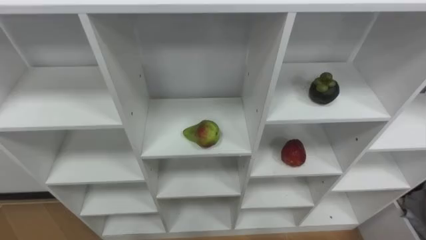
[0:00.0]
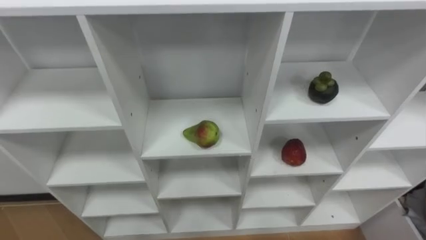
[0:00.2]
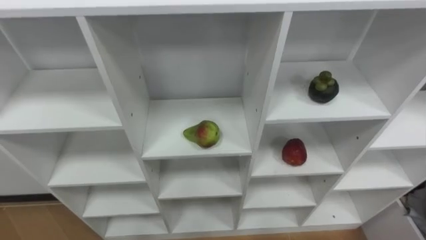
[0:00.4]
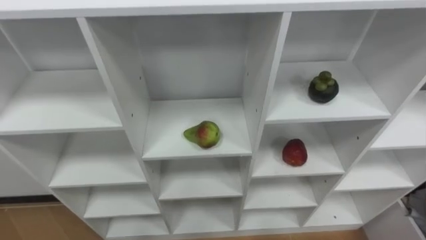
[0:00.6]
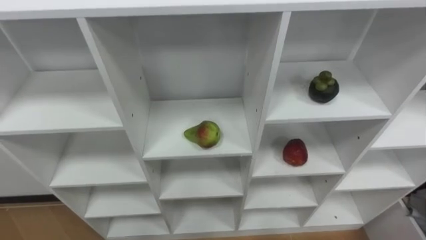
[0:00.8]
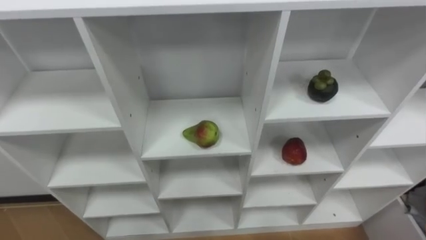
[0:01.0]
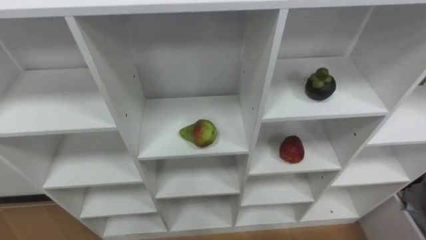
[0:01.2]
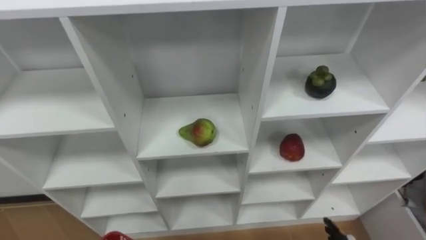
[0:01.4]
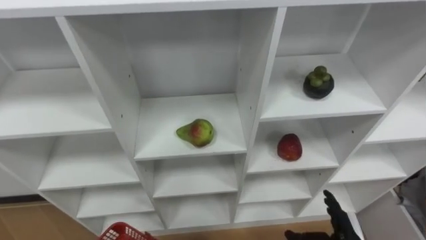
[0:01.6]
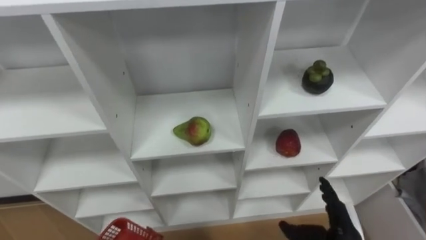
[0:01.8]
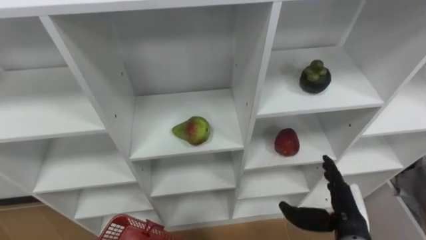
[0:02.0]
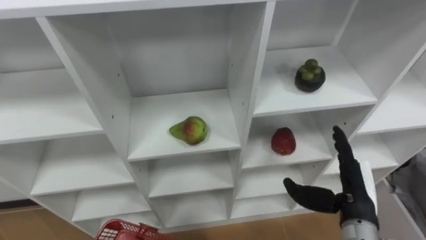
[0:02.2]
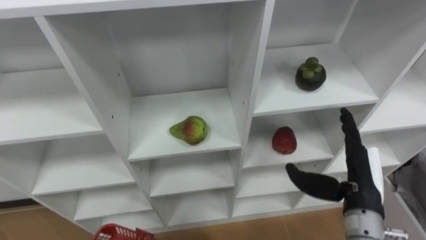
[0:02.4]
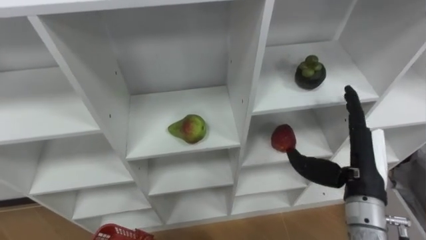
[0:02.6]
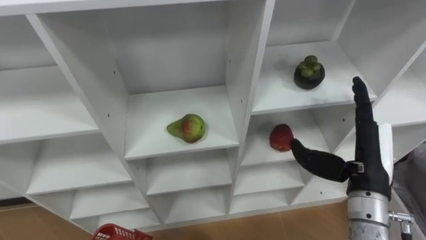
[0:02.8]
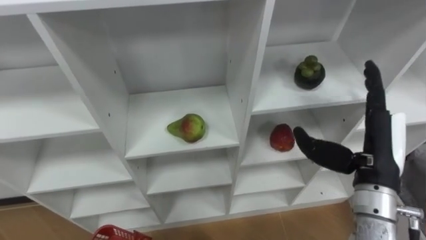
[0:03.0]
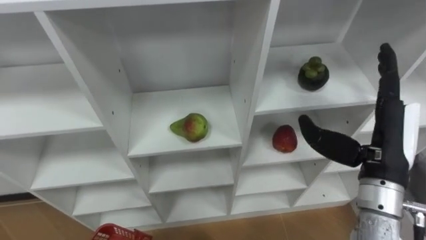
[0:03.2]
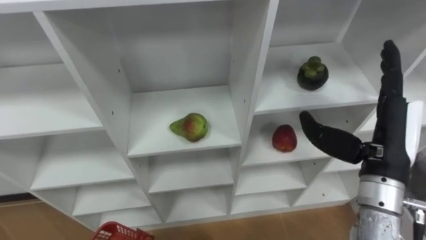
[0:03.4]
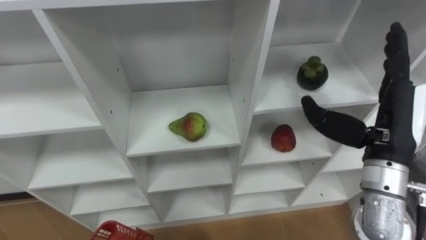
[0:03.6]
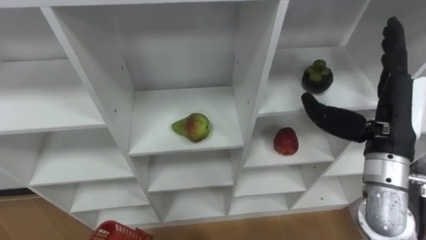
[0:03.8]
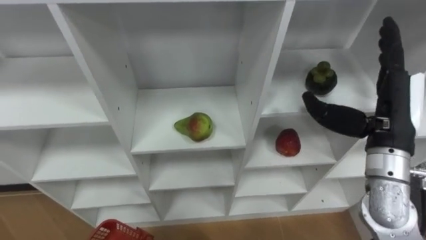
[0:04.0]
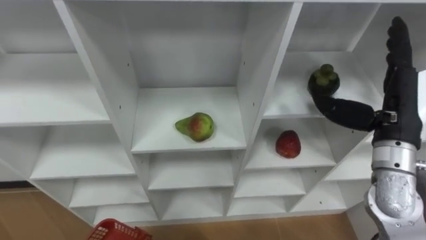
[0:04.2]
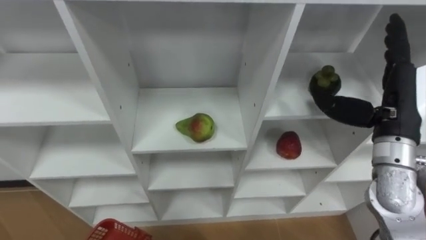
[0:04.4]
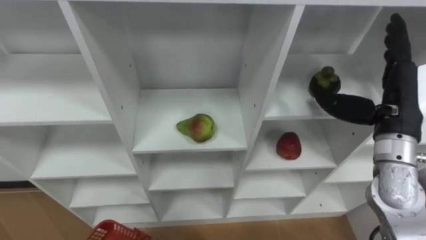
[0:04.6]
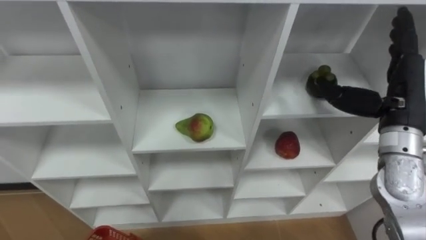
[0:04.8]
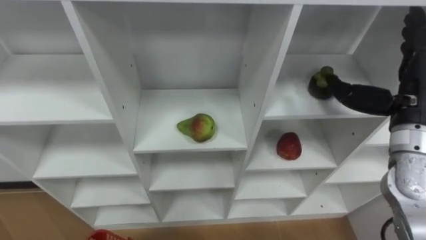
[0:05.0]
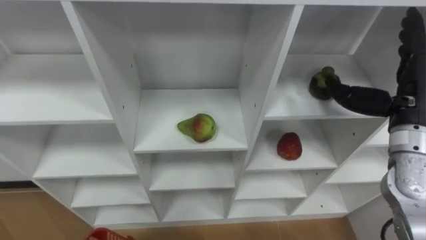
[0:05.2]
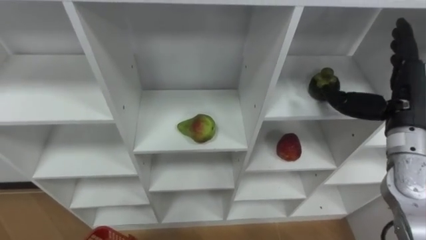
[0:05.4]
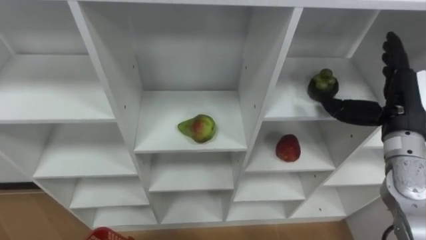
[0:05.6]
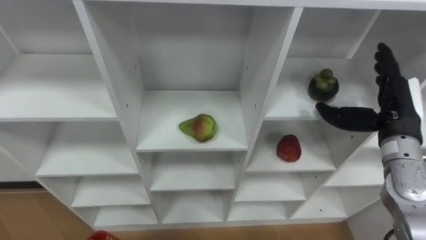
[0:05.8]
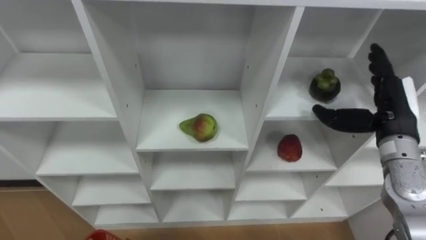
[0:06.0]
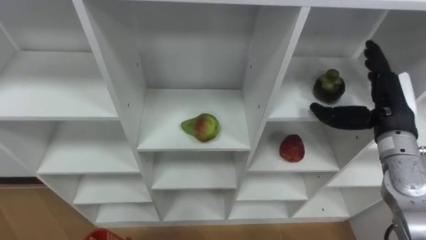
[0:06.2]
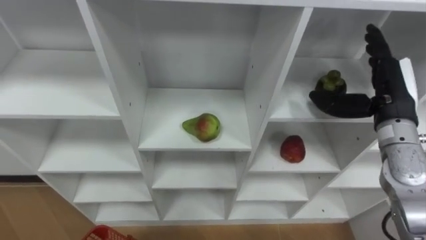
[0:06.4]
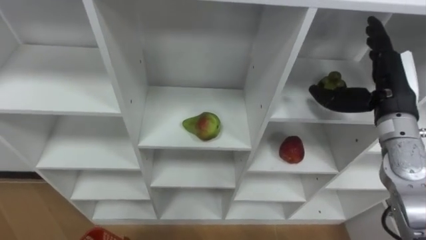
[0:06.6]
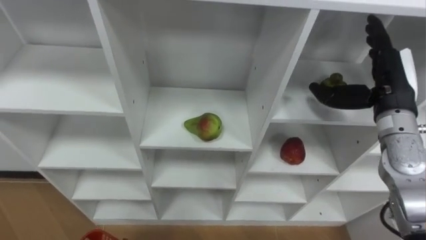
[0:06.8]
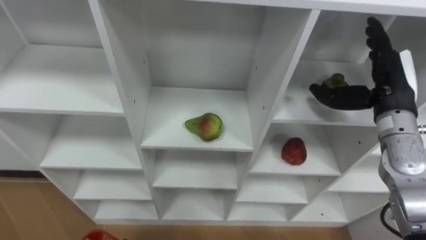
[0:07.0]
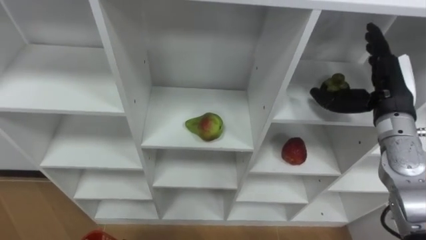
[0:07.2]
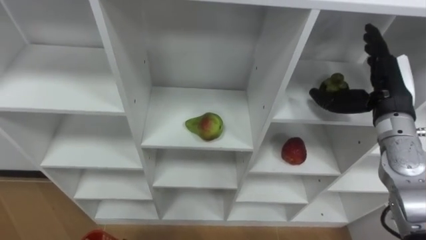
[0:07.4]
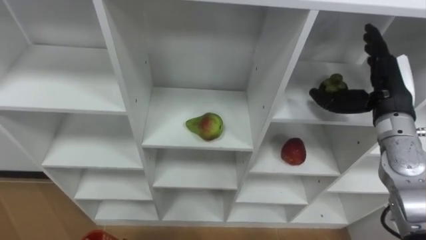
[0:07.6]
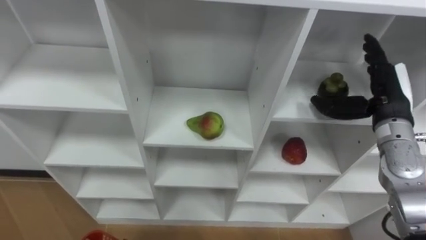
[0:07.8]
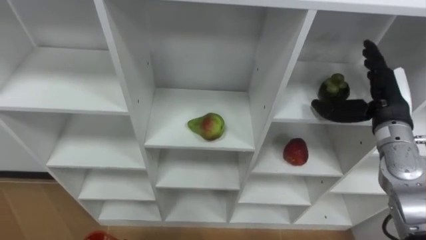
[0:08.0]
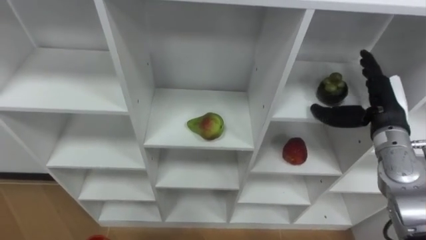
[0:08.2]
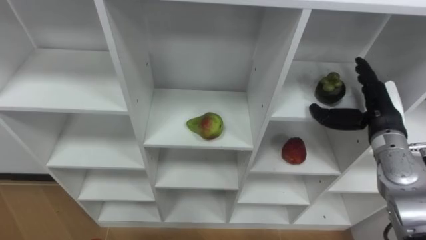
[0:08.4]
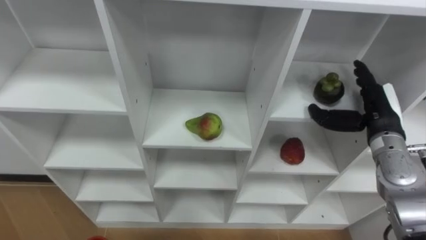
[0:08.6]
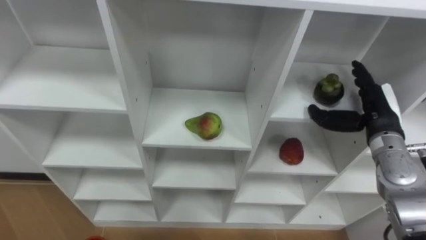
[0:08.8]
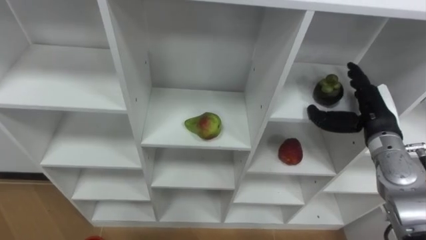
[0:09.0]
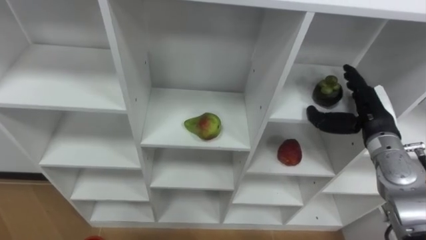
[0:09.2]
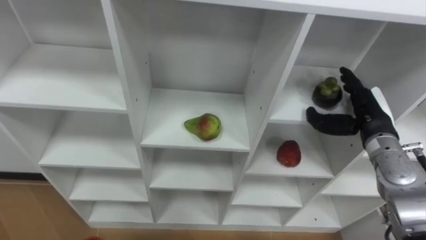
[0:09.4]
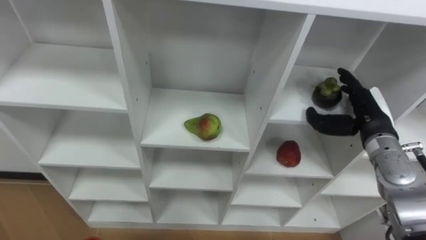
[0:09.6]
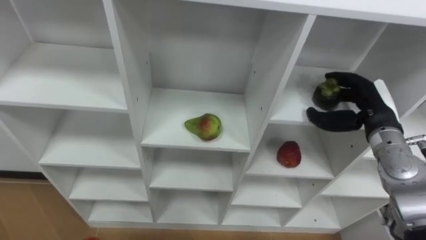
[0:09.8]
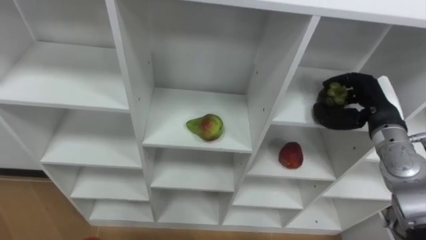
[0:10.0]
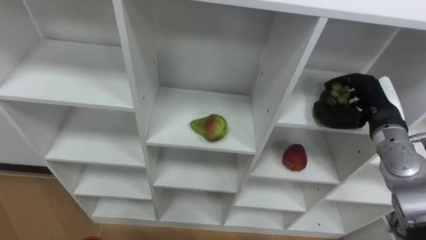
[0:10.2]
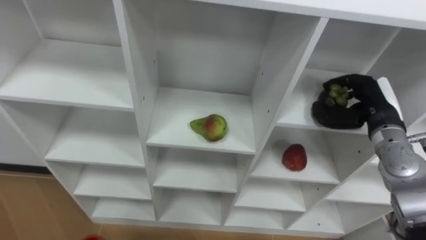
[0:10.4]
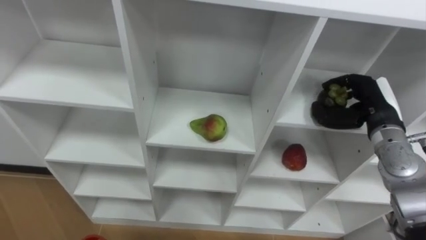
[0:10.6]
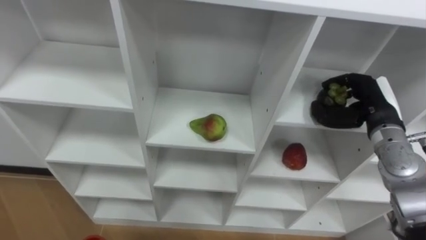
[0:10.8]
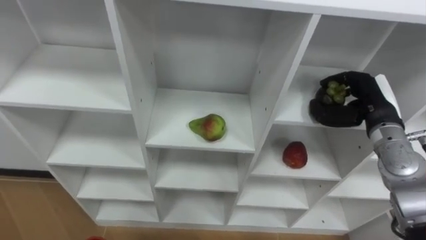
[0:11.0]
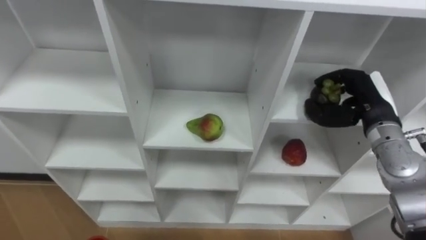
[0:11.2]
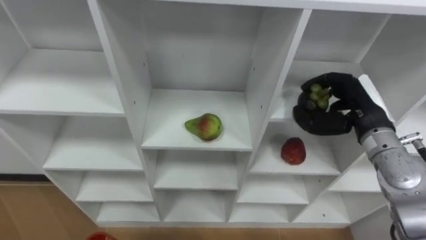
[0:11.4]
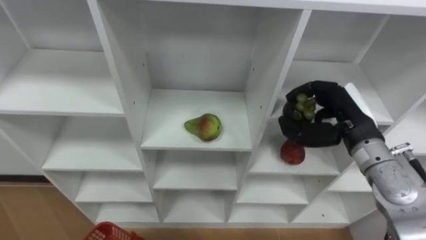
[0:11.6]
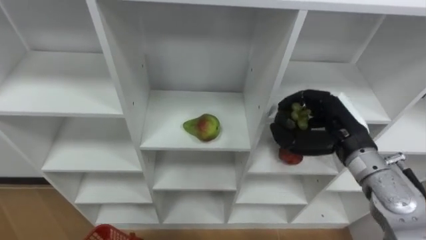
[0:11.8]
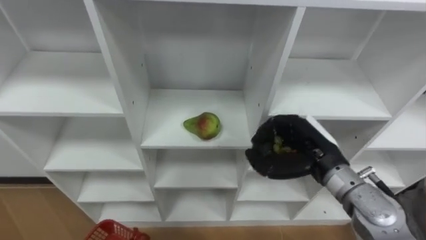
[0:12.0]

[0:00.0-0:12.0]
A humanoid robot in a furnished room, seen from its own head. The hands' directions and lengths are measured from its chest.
Task of the whole recording: Hold the basket and collect the fruits from 3 different cells of the closet into it.
0:01.6 to 0:03.0: The right hand moves upward, some 20 cm.
0:03.0 to 0:04.4: The right hand is displaced forward by about 5 cm.
0:04.4 to 0:06.0: The right hand ends up about 5 cm from where it was.
0:07.6 to 0:09.0: The right hand shifts about 5 cm downward.
0:09.0 to 0:10.4: The right hand closes up.
0:10.4 to 0:12.0: The right hand moves to the left and backward, roughly 15 cm.

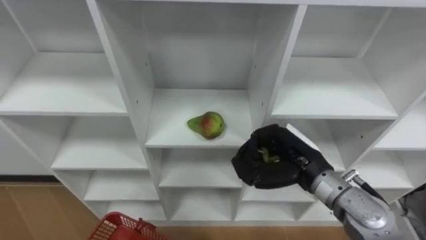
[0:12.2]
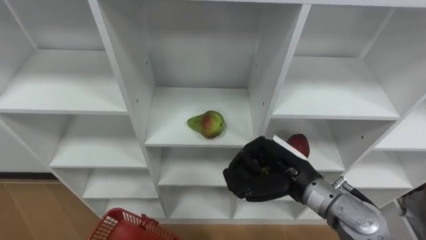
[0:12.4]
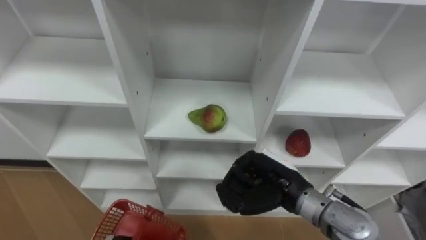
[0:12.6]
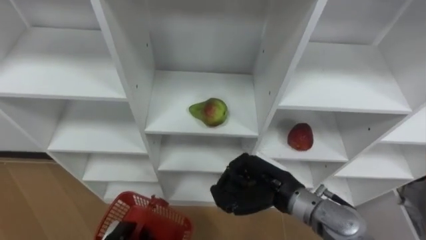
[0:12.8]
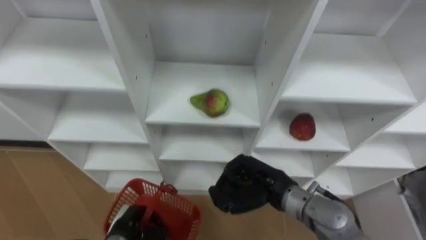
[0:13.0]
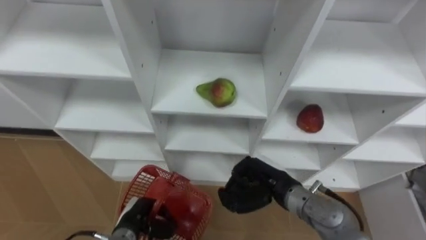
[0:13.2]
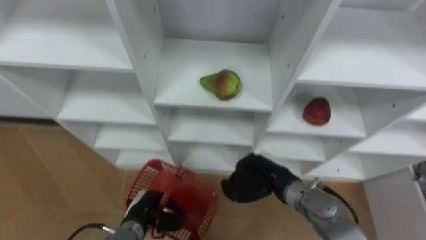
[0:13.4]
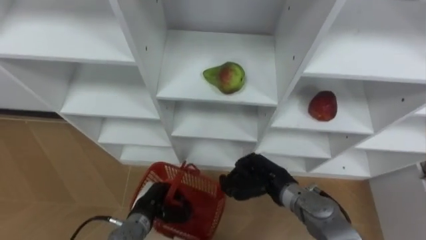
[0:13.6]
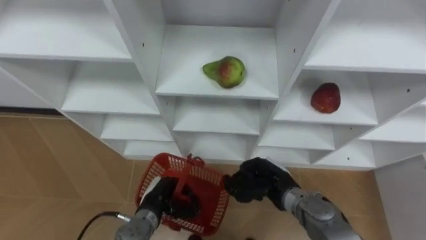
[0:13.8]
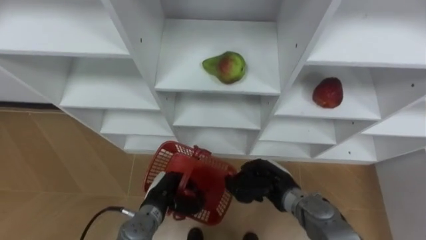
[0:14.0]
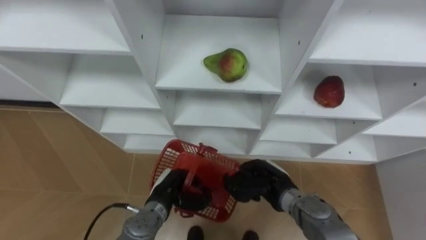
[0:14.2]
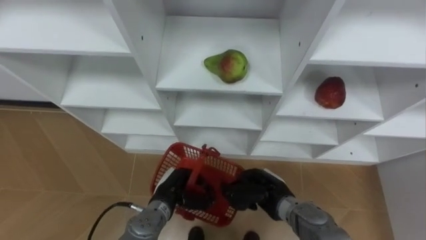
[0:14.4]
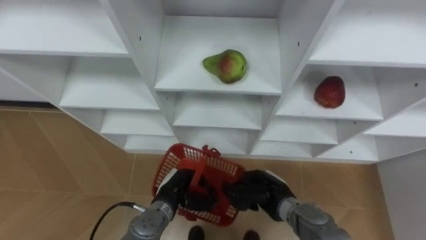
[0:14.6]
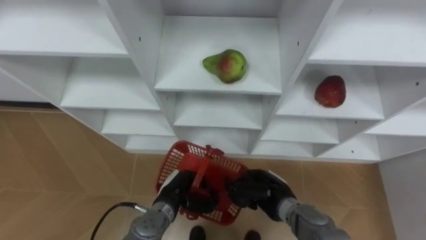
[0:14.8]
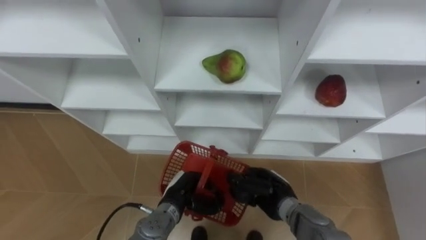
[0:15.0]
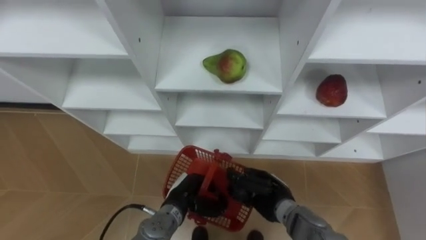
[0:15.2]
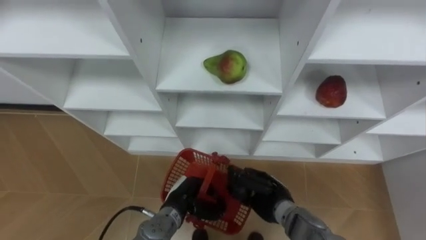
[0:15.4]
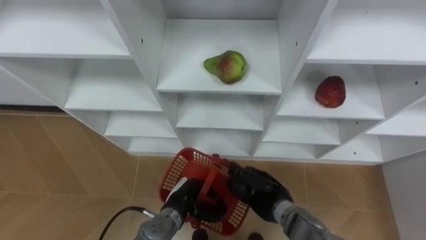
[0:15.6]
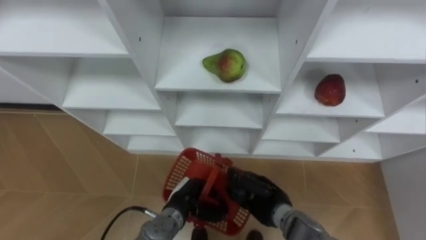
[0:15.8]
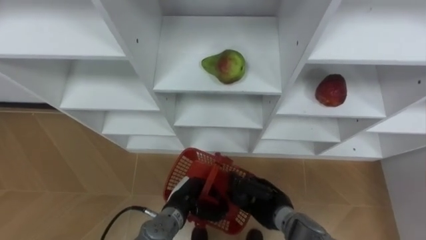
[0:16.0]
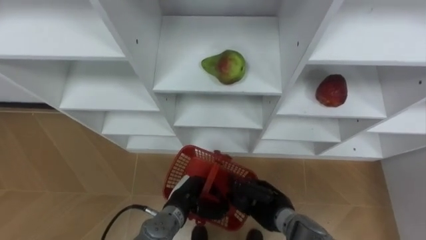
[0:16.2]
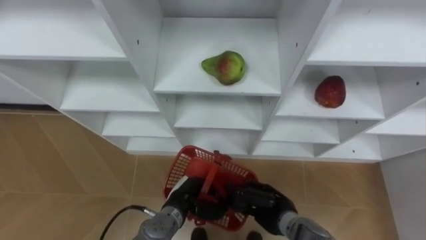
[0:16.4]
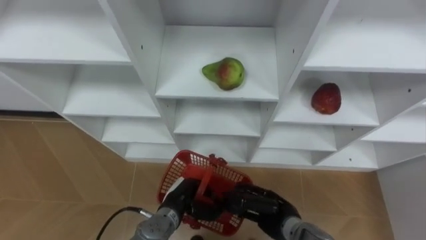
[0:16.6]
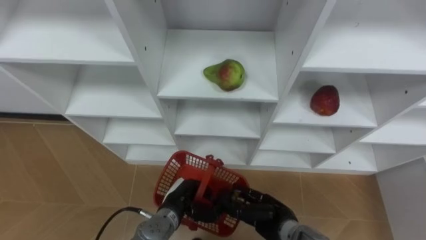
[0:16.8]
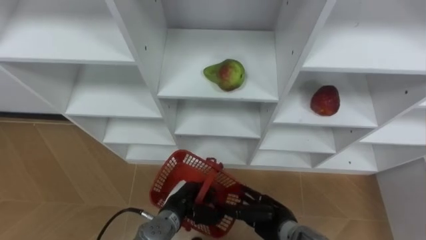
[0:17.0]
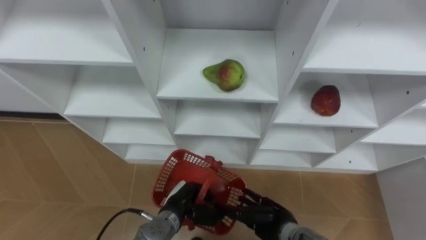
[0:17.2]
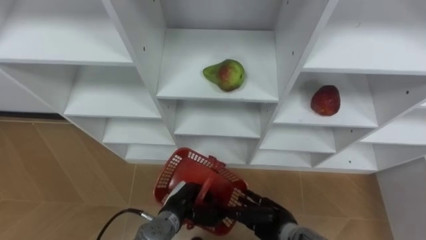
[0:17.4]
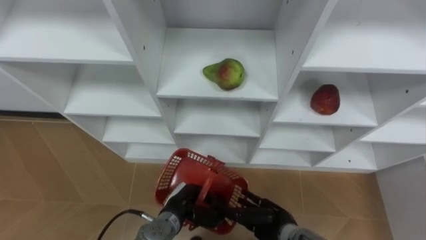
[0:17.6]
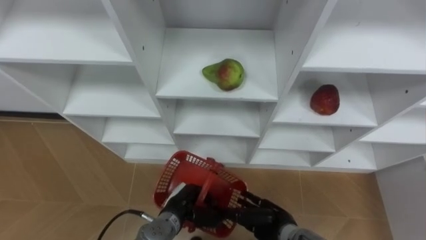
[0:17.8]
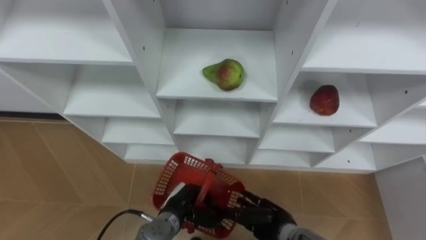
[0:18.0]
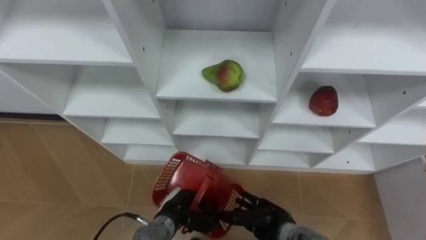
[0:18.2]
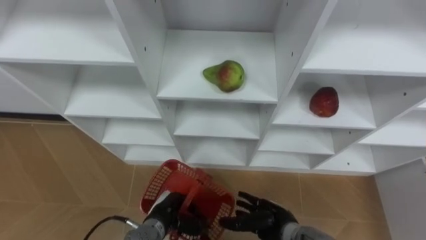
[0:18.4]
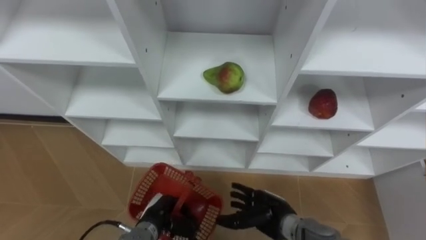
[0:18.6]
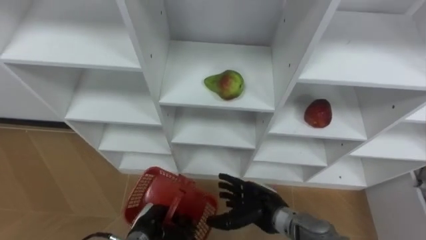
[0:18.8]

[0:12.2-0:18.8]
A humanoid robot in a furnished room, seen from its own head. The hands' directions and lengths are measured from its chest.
Task of the whole recording: Hold the basket and collect the fruits from 3 different cells of the closet into it.
0:12.2 to 0:13.8: The right hand is displaced downward by roughly 10 cm.
0:13.8 to 0:15.4: The left hand shifts about 5 cm to the right.
0:15.4 to 0:17.2: The right hand changes place by approximately 5 cm, and opens.
0:17.2 to 0:18.8: The left hand shifts roughly 5 cm to the left, while the right hand shifts by roughly 5 cm.
